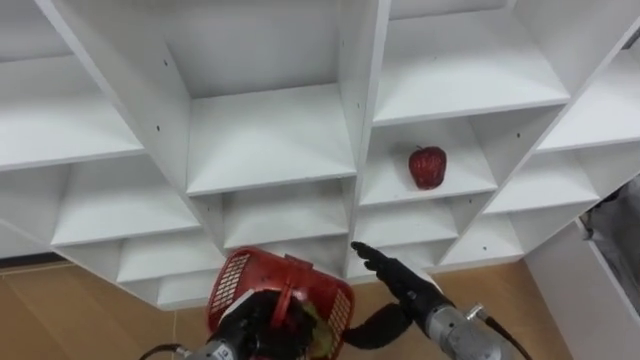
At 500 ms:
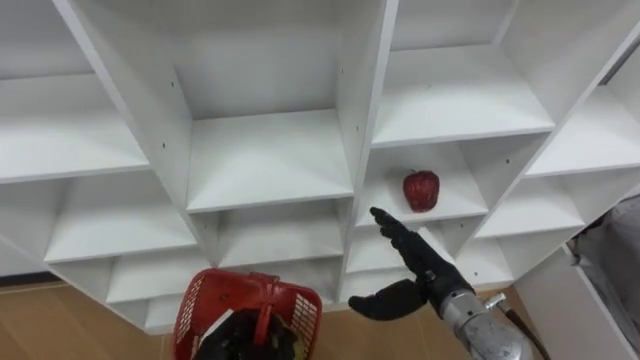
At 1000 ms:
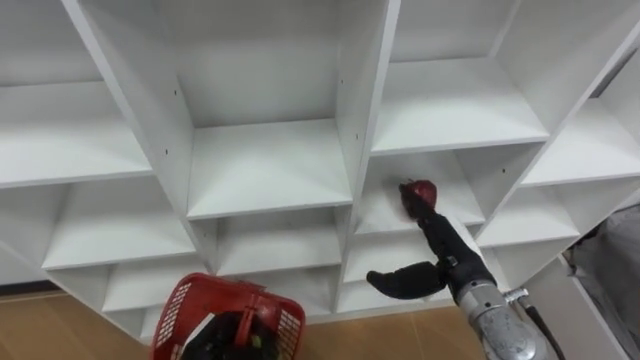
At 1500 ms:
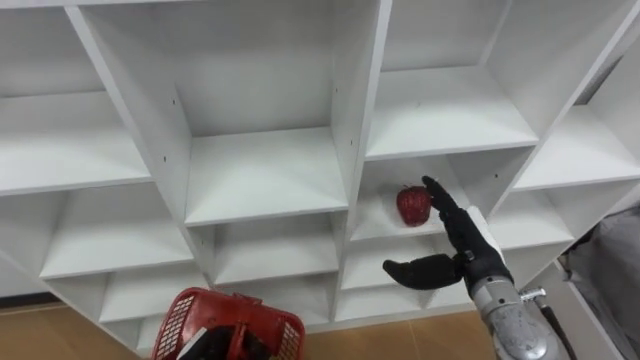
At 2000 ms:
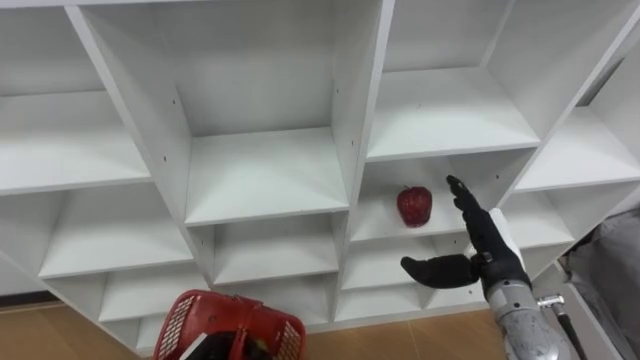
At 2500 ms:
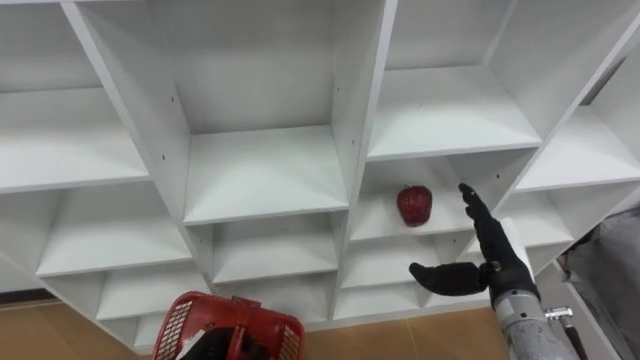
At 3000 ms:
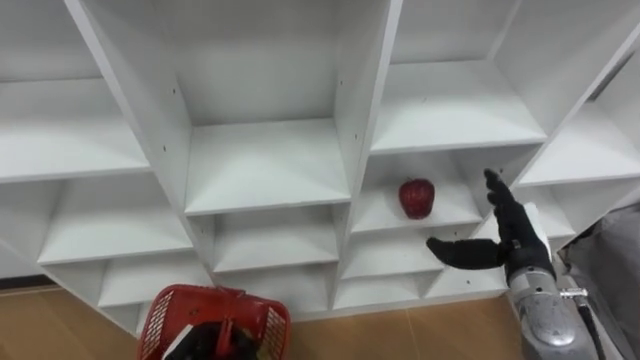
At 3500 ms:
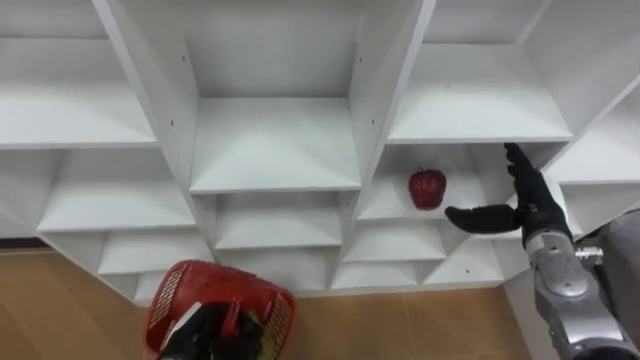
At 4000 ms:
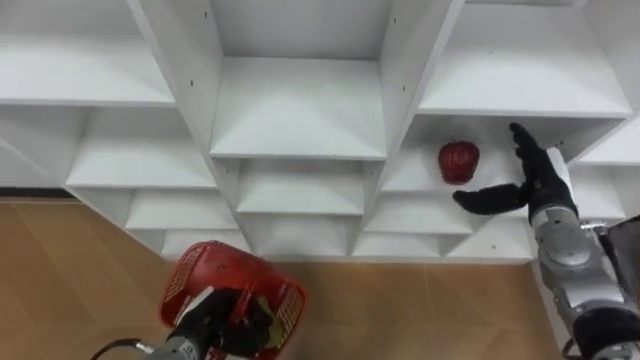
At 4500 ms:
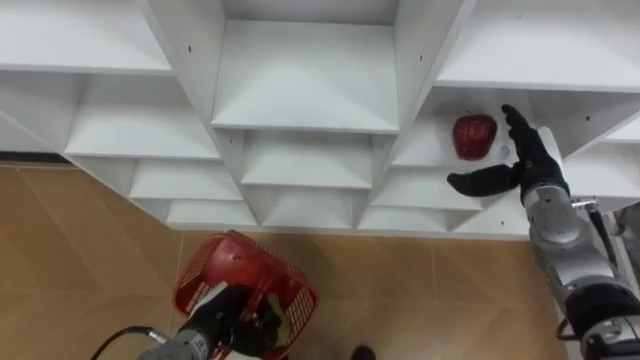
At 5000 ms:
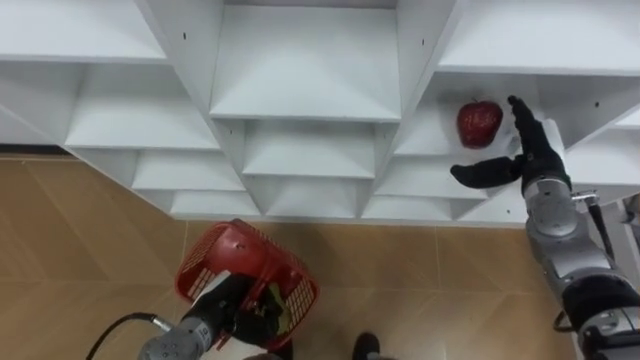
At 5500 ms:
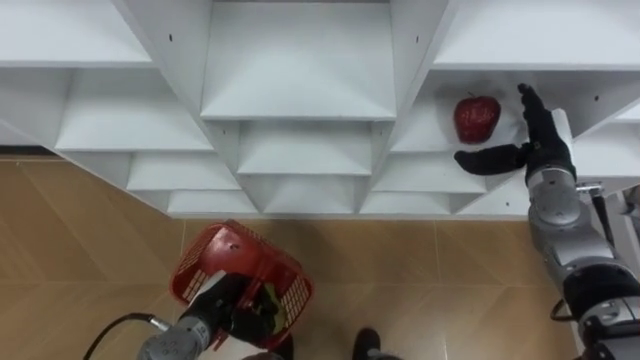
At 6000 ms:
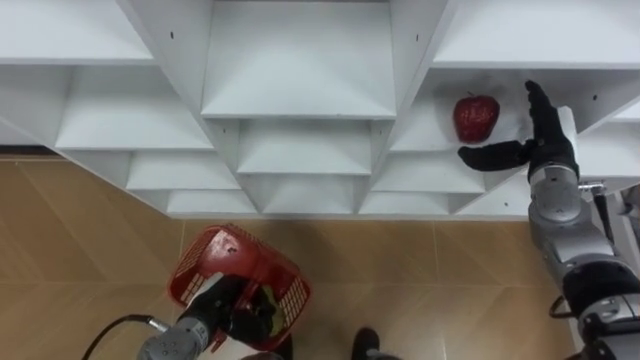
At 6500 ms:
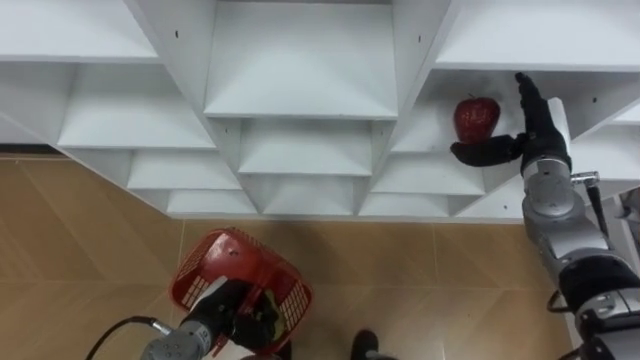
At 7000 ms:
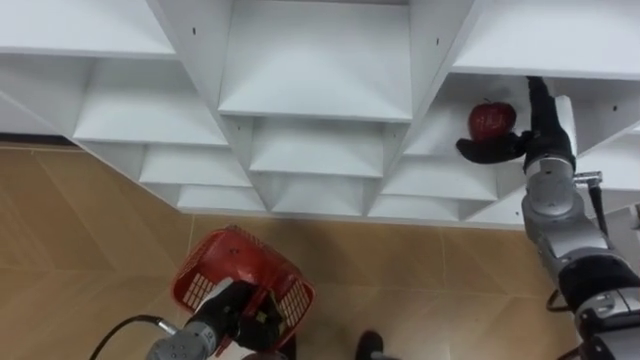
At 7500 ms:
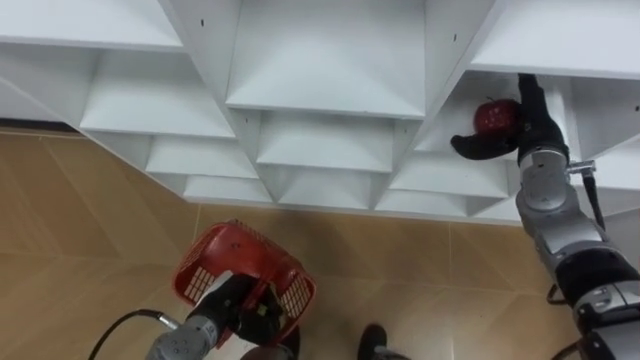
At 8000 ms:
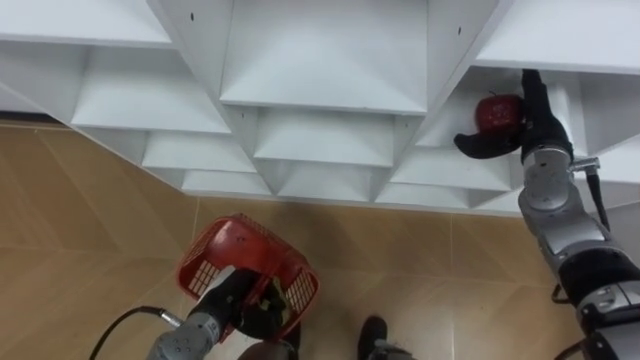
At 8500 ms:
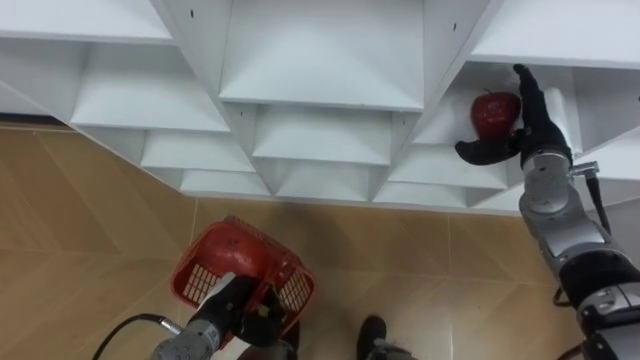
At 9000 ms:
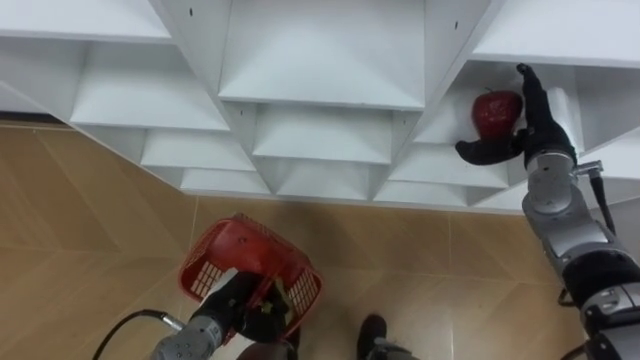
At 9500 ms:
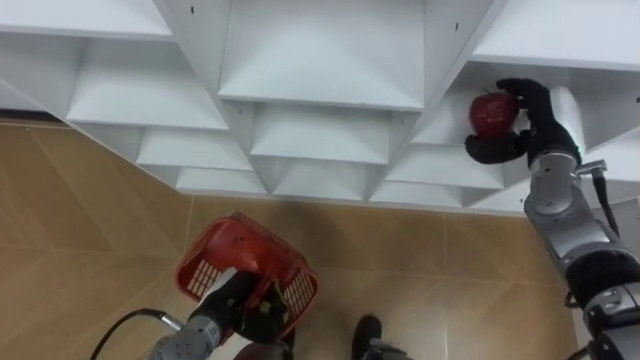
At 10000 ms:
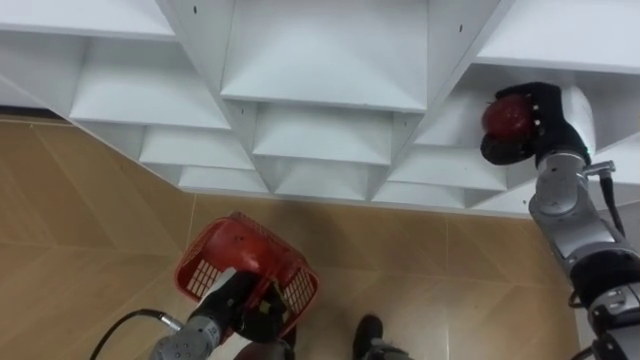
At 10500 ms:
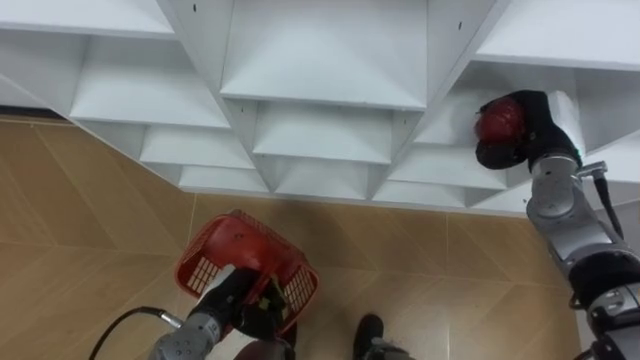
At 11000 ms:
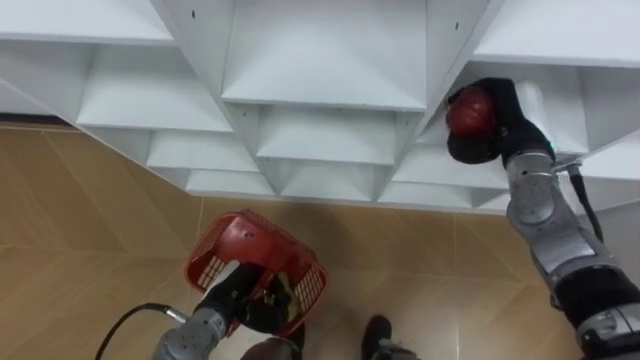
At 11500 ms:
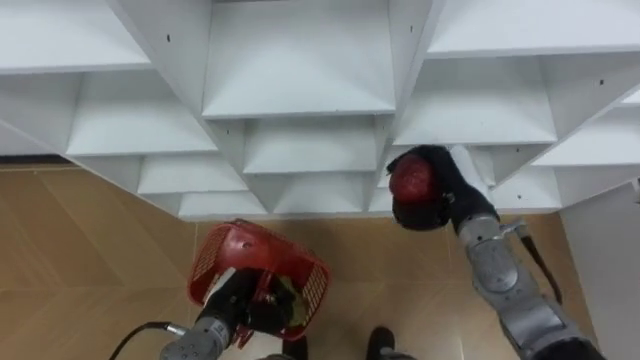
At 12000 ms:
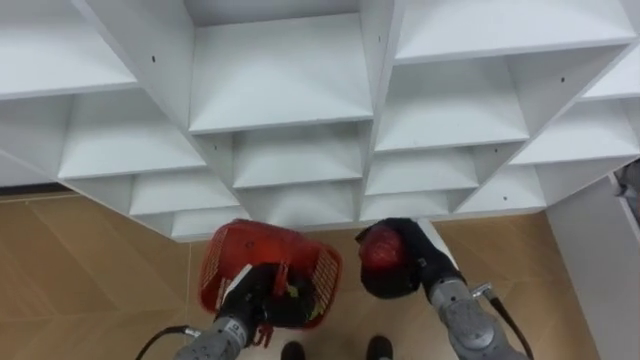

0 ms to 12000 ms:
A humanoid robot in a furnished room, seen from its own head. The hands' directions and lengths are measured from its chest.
Task of the whole recording: Hold the basket and collect the fruits from 3 different cells of the closet into it.
0 ms to 2000 ms: The right hand travels to the right and upward by approximately 10 cm.
2000 ms to 4000 ms: The right hand heads forward and to the right, covering some 10 cm.
4000 ms to 6000 ms: The right hand moves approximately 5 cm.
8000 ms to 10000 ms: The right hand closes.
10000 ms to 12000 ms: The right hand moves to the left, downward and backward, about 25 cm.

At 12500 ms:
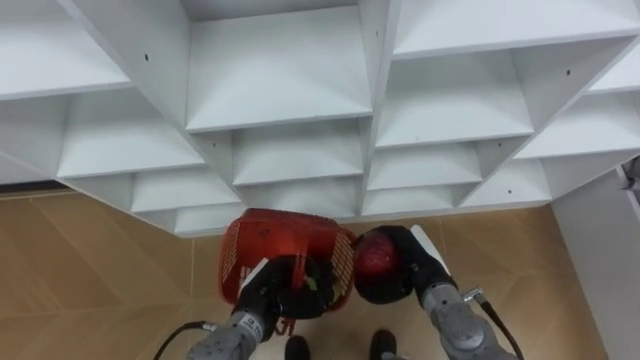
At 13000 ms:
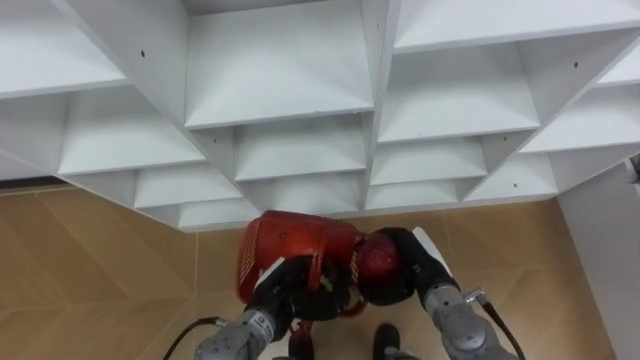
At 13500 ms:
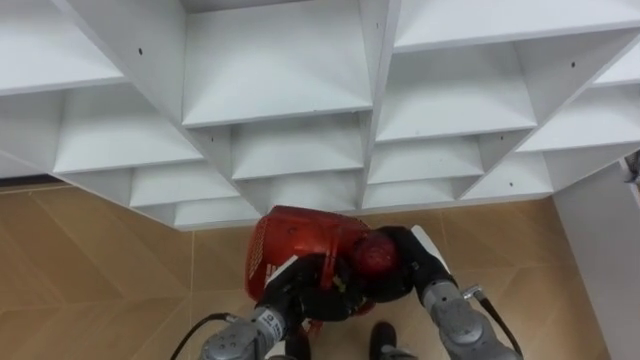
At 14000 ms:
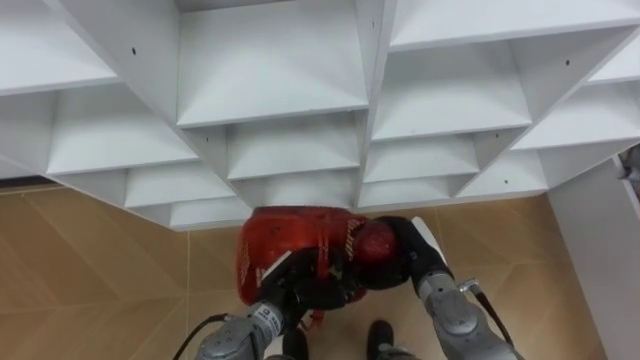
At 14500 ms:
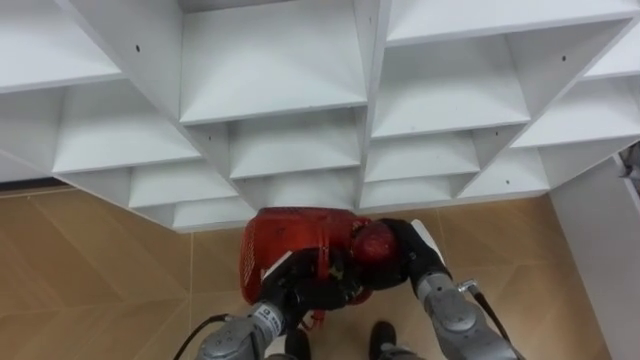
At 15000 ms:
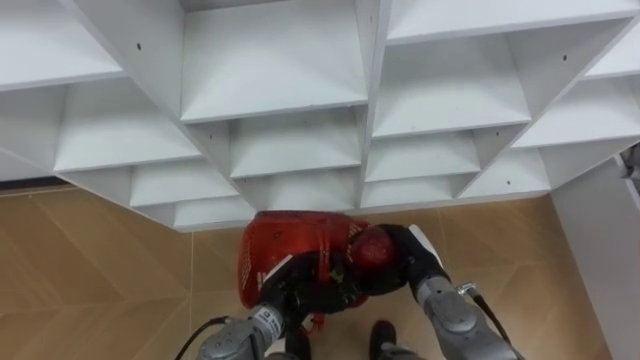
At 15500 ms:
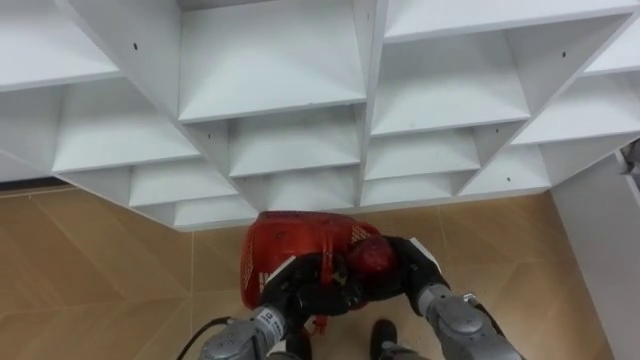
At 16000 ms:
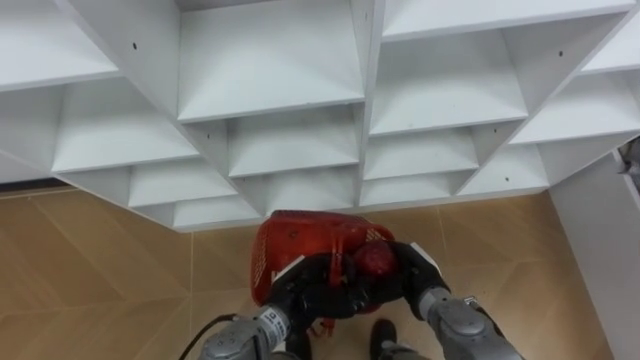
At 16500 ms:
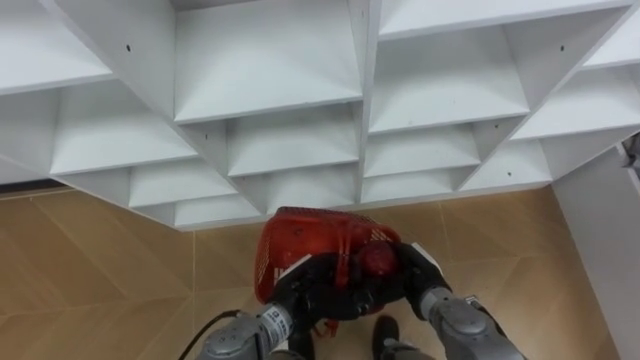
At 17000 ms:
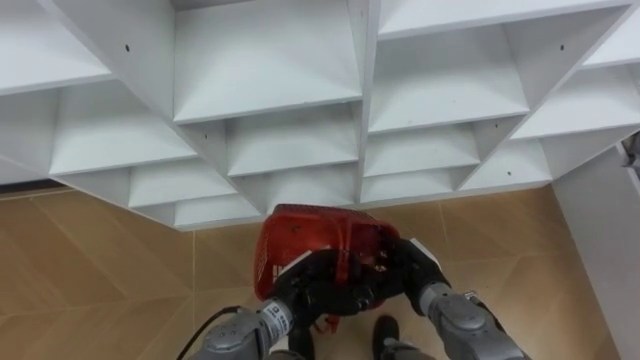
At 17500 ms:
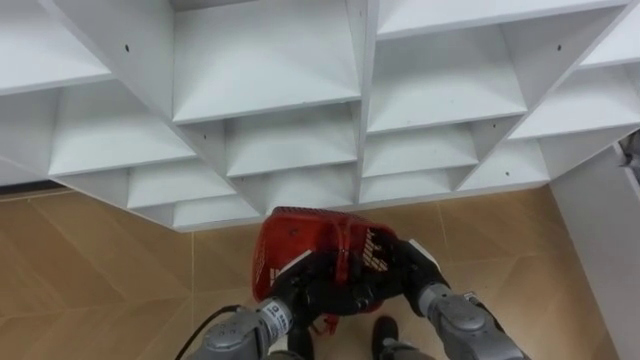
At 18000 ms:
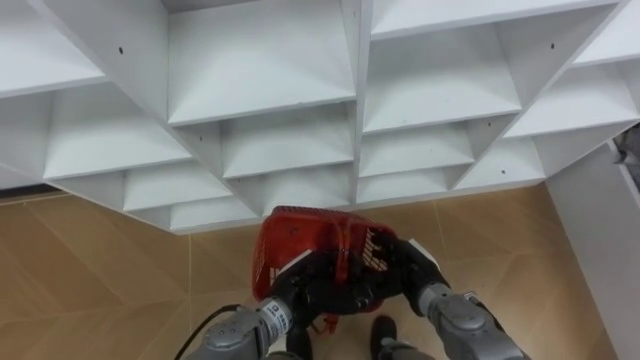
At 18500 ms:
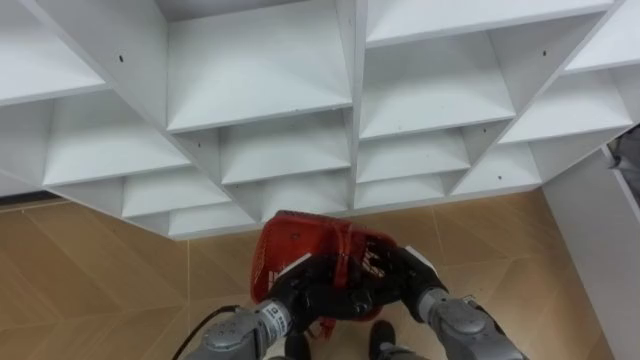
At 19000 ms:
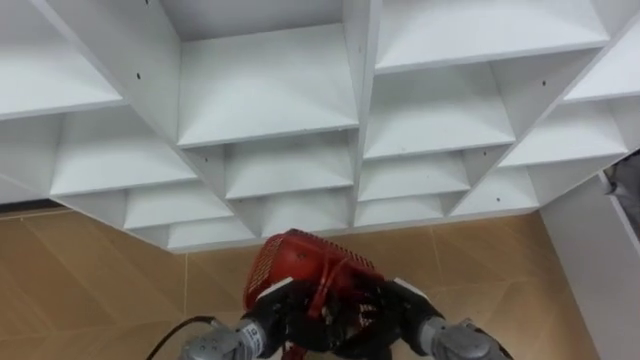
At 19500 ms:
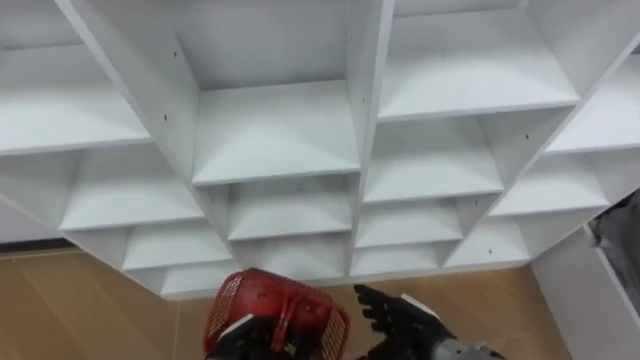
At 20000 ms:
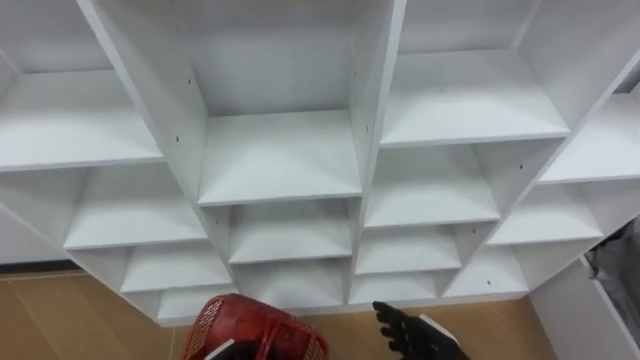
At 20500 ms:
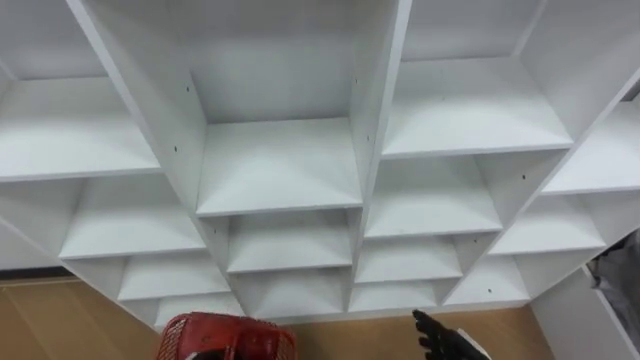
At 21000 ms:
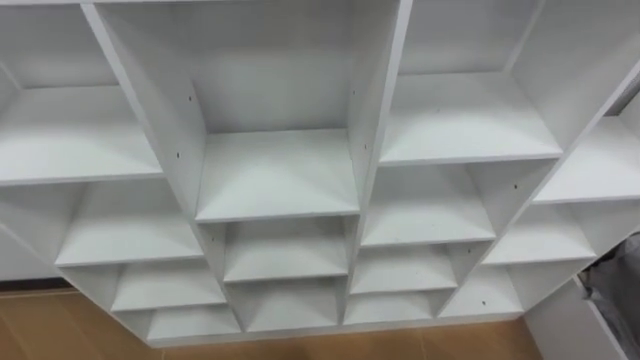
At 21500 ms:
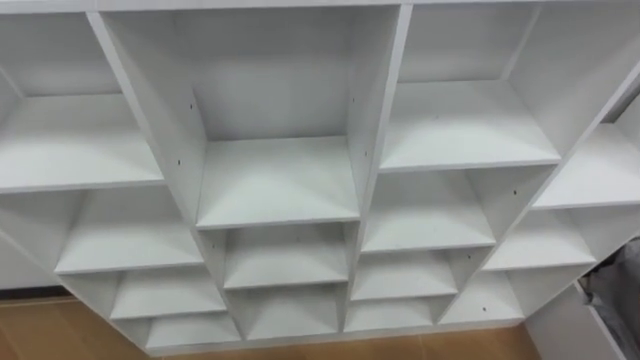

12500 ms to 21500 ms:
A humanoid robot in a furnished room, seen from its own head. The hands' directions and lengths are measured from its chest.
Task of the whole recording: Hold the basket and collect the fruits from 3 different cells of the closet into it.
14500 ms to 17000 ms: The right hand opens its fingers.
17000 ms to 19500 ms: The left hand is displaced to the left, downward and backward by about 15 cm, while the right hand goes about 5 cm backward.
